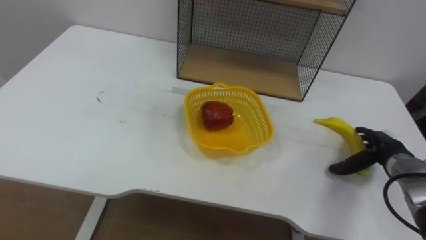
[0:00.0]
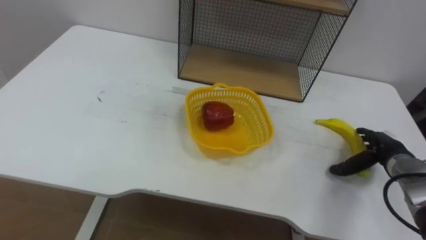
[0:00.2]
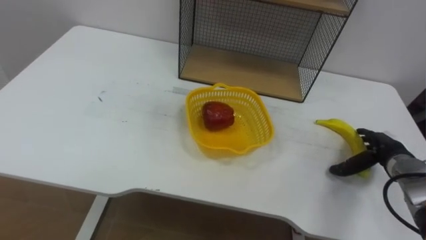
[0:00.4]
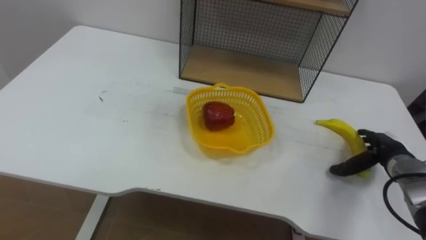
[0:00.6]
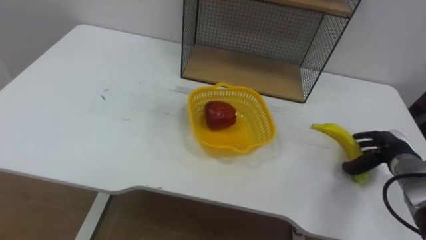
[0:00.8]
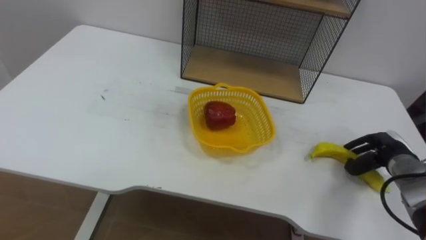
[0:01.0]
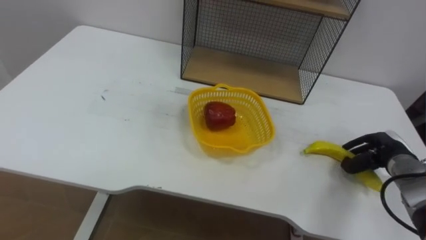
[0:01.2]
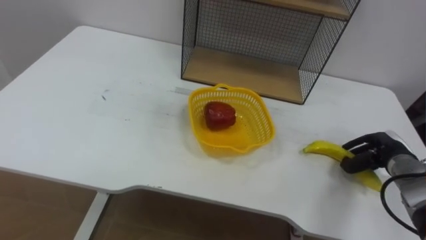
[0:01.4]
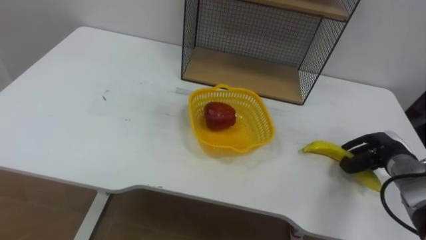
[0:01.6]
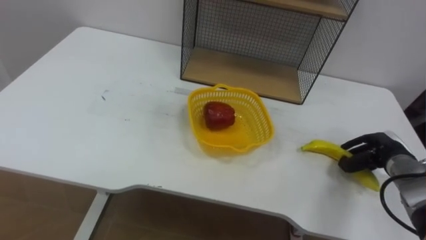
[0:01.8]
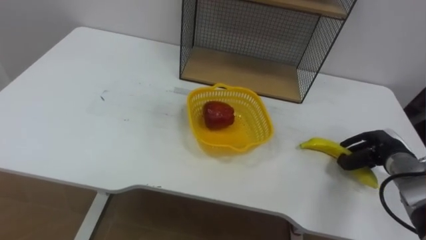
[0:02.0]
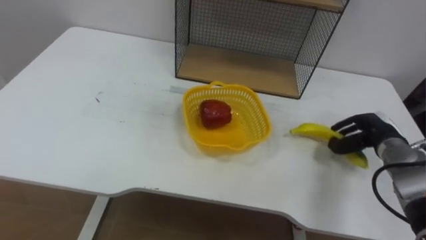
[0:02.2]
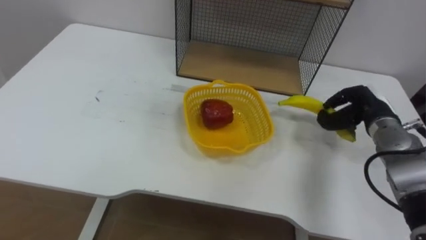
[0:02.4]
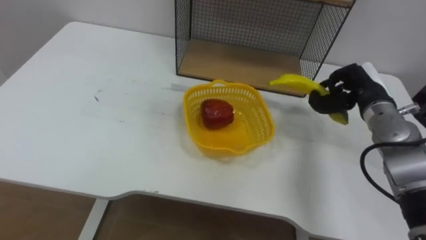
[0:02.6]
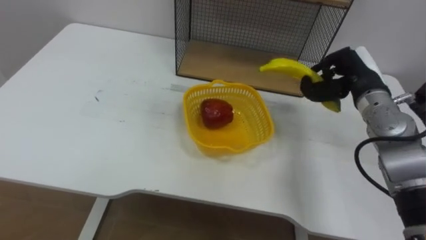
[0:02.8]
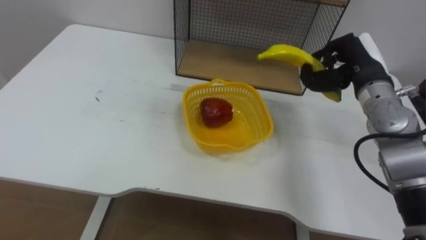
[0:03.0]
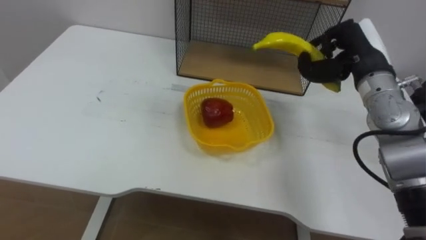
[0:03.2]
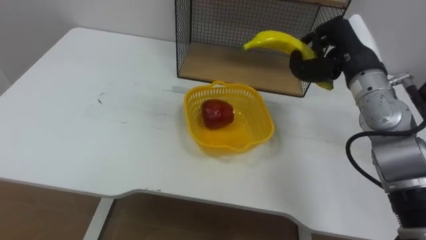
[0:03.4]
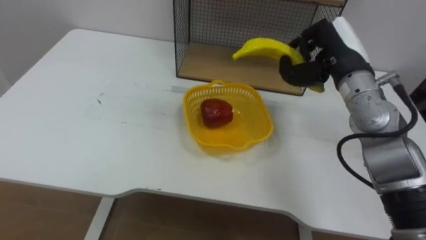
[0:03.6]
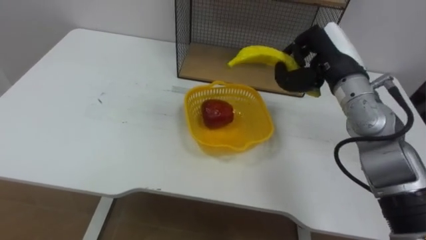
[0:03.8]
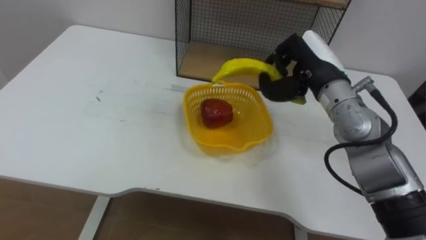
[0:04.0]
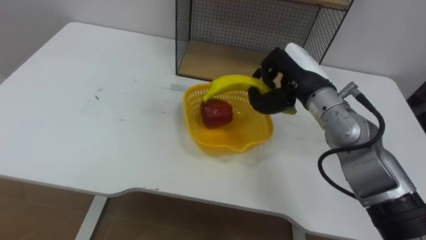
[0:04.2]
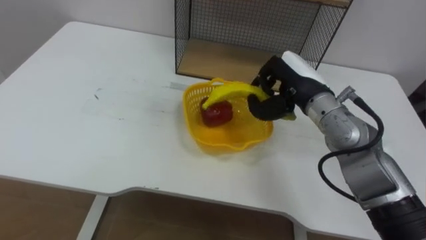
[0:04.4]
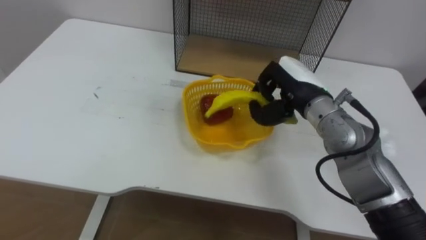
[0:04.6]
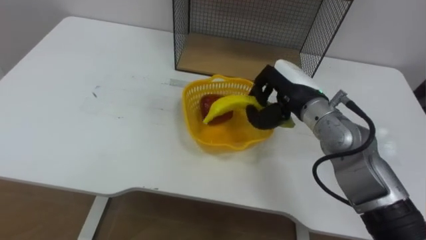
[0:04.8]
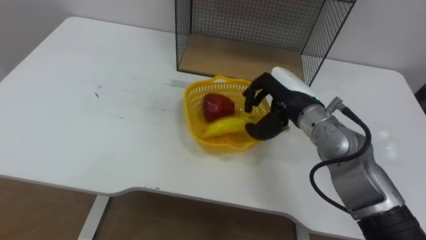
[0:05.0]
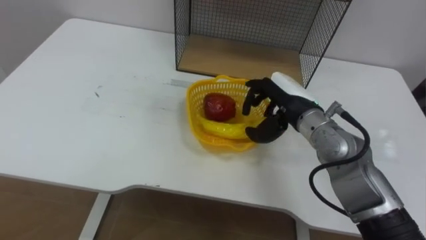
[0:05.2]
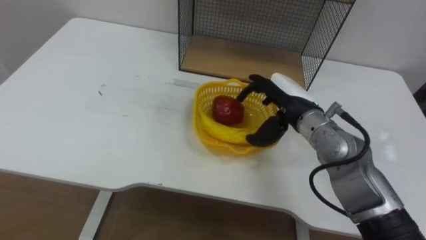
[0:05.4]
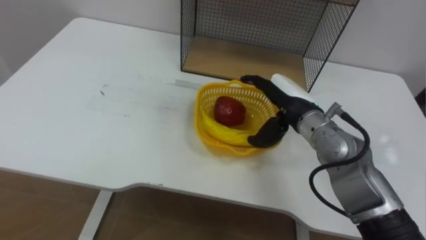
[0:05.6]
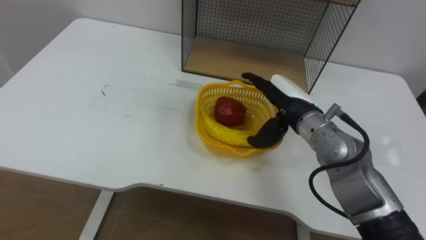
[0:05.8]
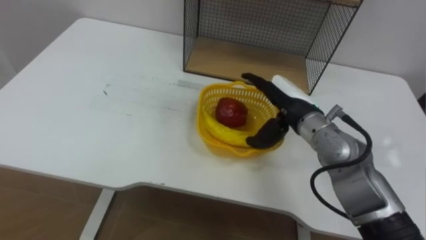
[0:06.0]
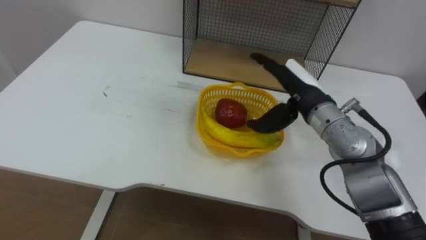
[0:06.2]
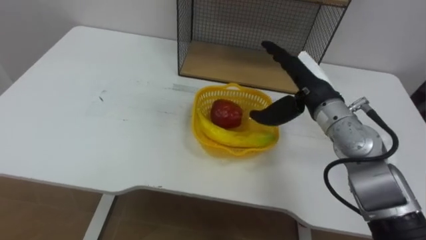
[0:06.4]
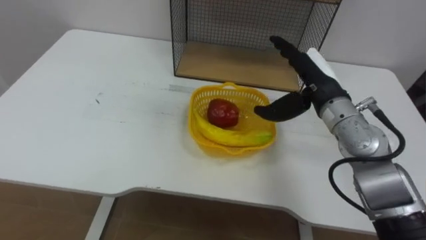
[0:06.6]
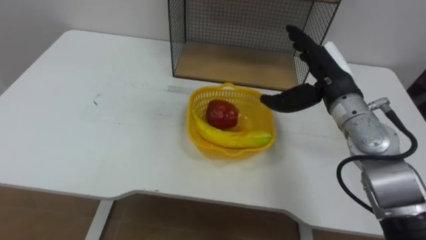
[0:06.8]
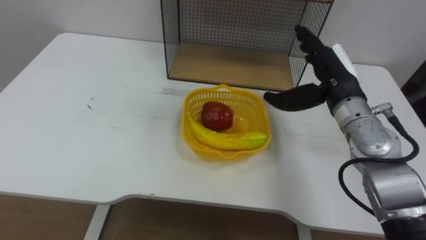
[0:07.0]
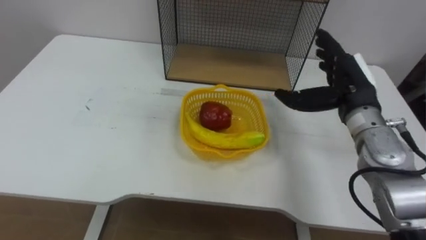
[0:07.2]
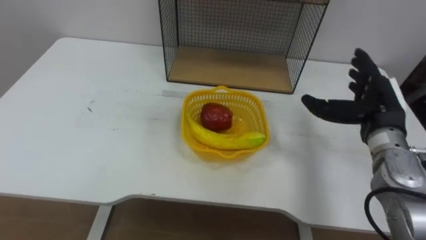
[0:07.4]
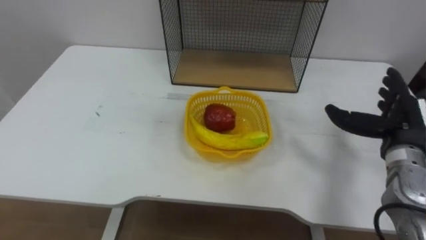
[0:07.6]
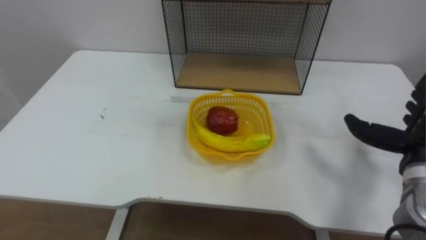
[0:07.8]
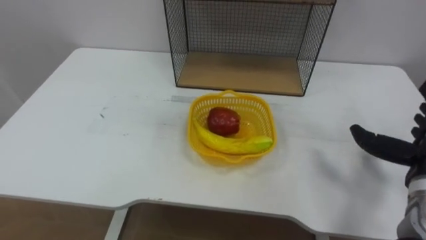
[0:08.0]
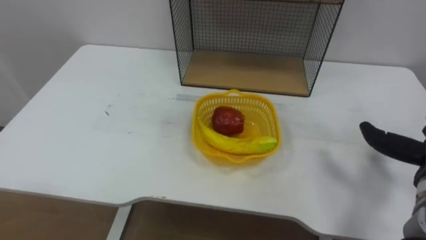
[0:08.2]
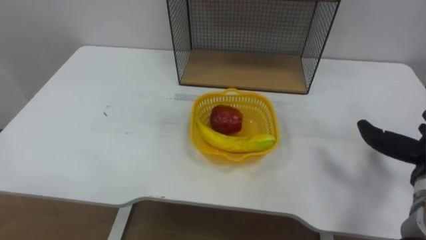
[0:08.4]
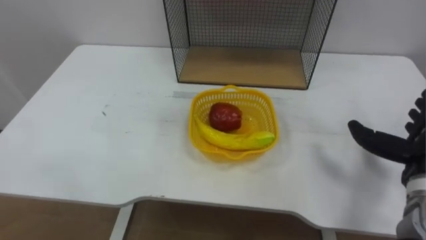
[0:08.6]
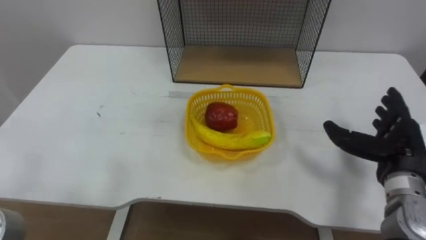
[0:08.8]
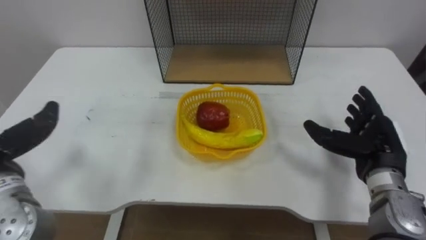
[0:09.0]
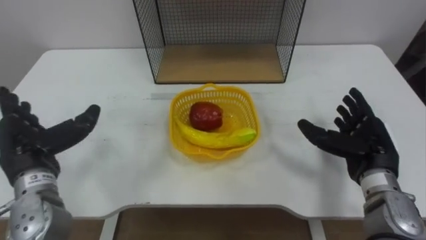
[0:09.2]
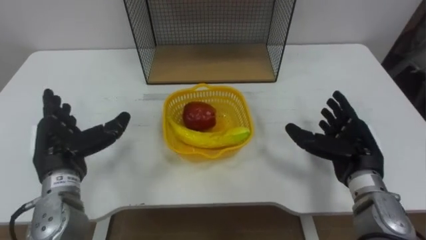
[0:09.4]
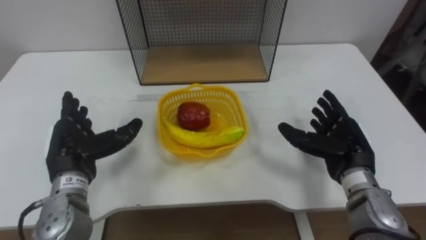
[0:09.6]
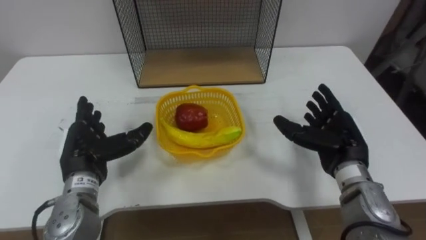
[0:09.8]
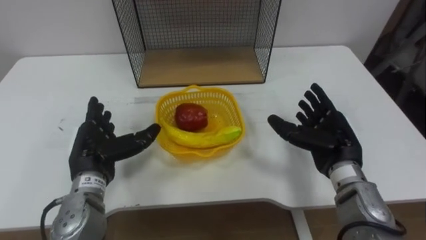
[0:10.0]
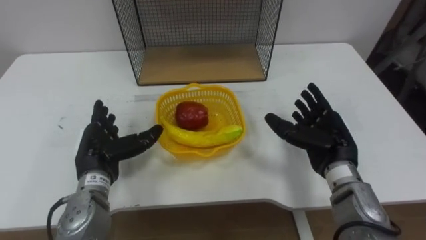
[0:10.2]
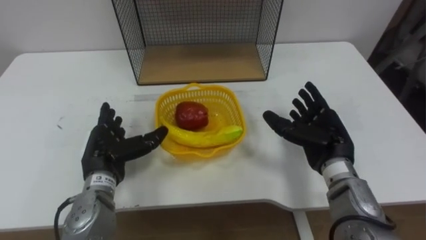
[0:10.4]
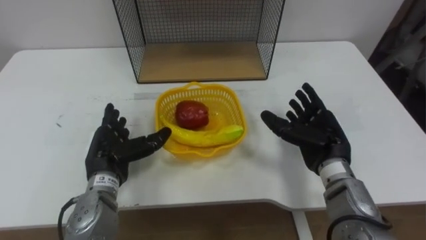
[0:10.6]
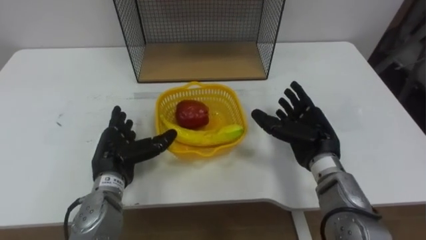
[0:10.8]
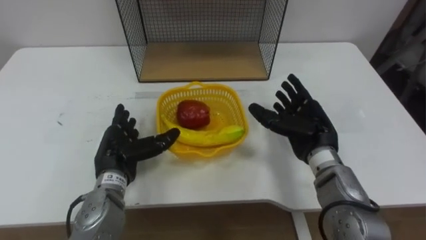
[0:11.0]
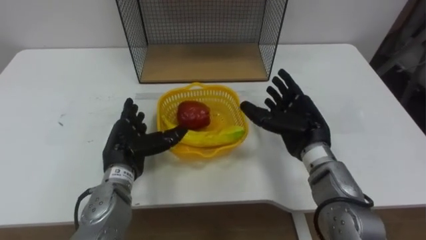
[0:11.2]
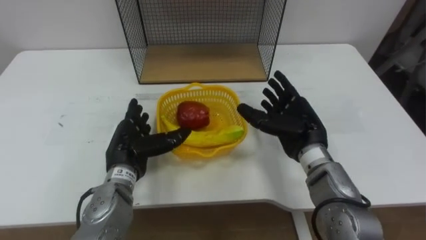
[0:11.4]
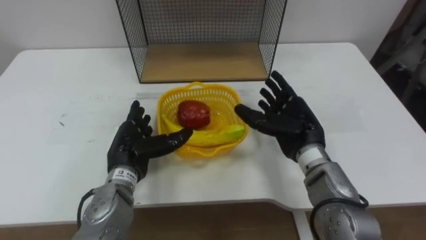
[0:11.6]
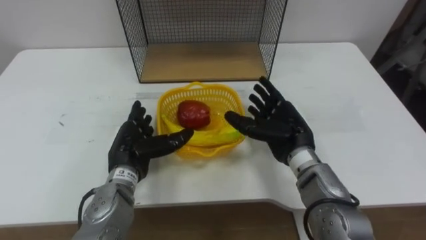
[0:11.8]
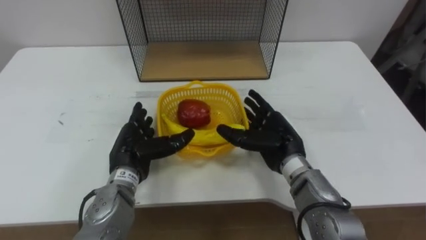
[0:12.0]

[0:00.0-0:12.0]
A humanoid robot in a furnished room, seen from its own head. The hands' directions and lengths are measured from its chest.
Task of the whole recording: Put the fruit on the table into the basket, then place the basket on the shelf.
0:00.0 to 0:01.6: The right hand closes its fingers.
0:01.6 to 0:03.0: The right hand is displaced upward, to the left and forward by approximately 20 cm.
0:03.0 to 0:04.4: The right hand is displaced to the left by approximately 10 cm.
0:04.4 to 0:06.0: The right hand opens its fingers.
0:06.0 to 0:07.6: The right hand is displaced to the right by some 20 cm.
0:09.0 to 0:10.4: The right hand heads to the left, covering approximately 10 cm.
0:10.4 to 0:12.0: The right hand heads to the left, covering about 10 cm.

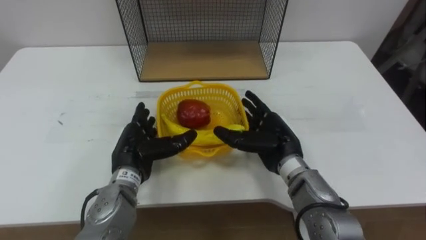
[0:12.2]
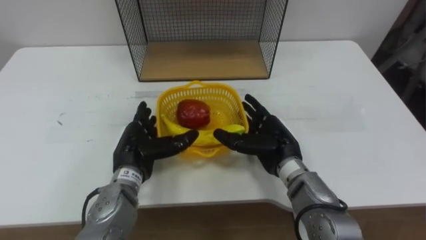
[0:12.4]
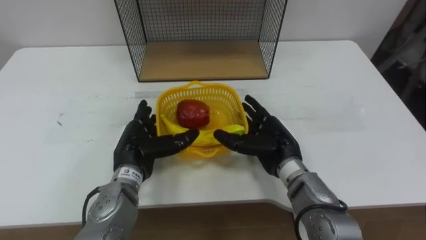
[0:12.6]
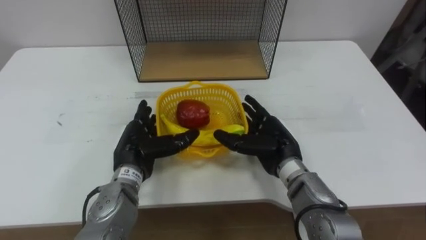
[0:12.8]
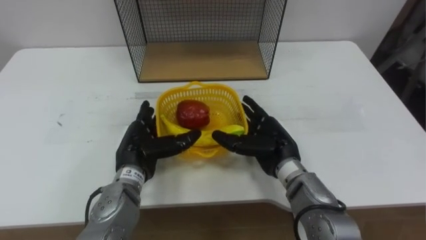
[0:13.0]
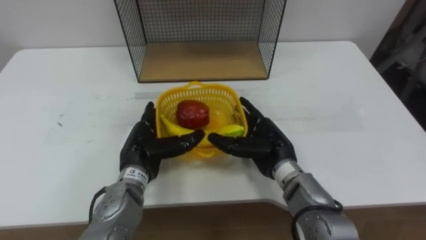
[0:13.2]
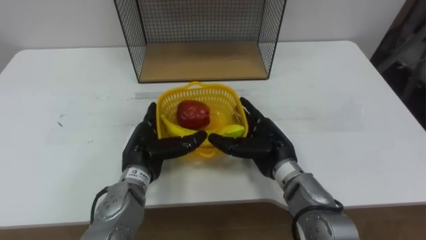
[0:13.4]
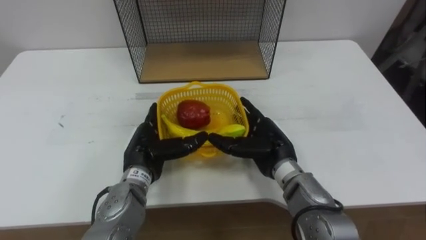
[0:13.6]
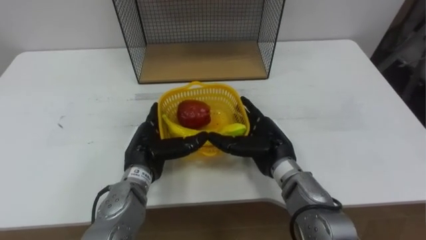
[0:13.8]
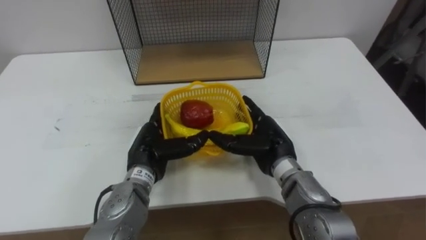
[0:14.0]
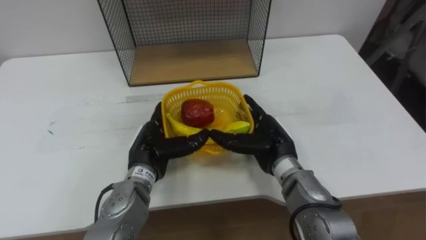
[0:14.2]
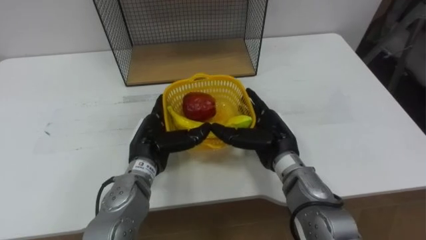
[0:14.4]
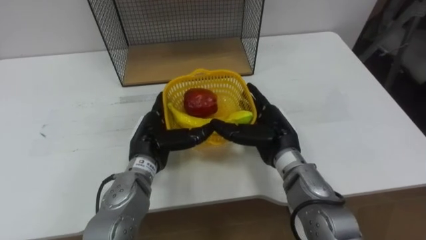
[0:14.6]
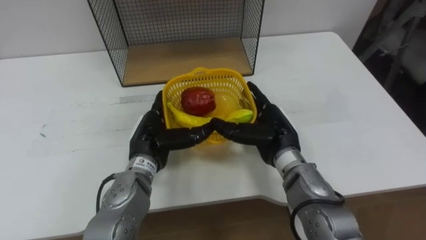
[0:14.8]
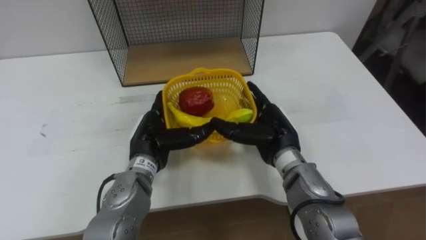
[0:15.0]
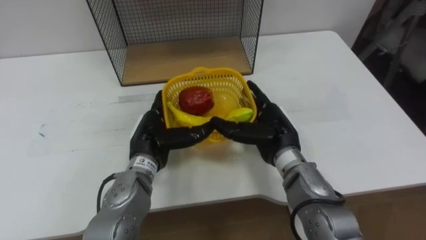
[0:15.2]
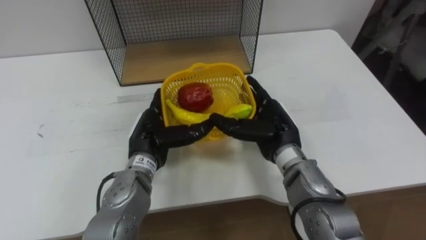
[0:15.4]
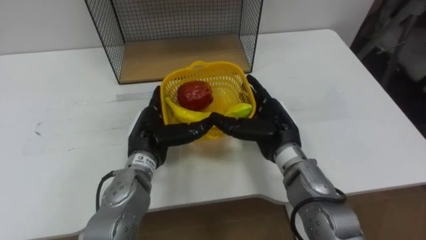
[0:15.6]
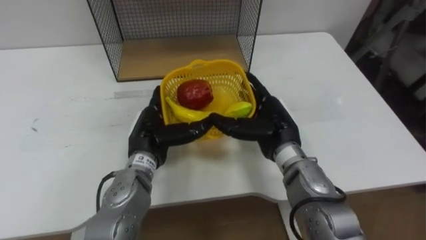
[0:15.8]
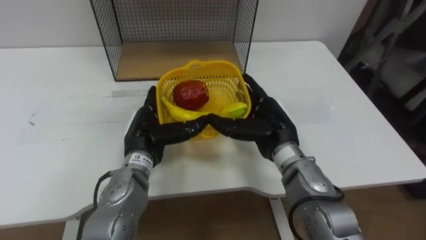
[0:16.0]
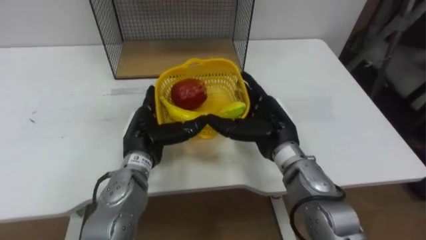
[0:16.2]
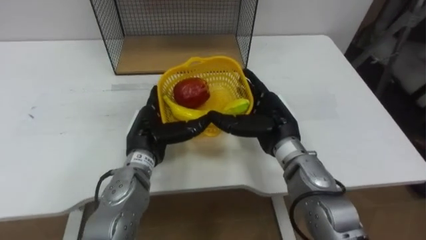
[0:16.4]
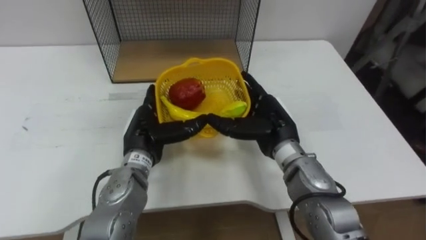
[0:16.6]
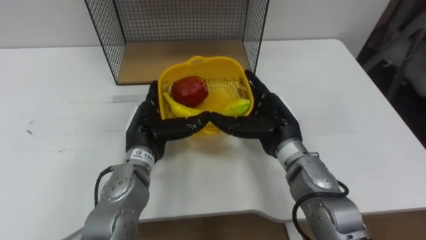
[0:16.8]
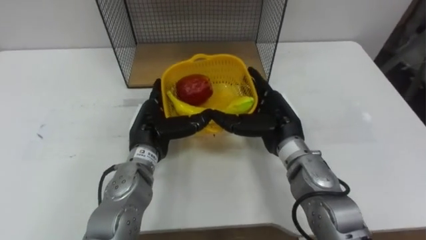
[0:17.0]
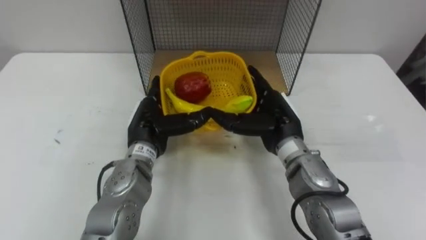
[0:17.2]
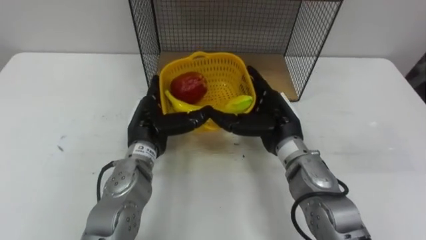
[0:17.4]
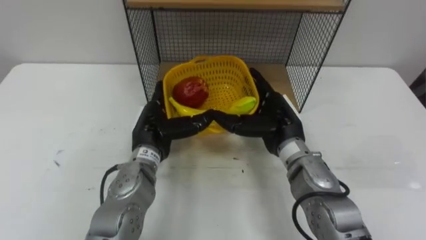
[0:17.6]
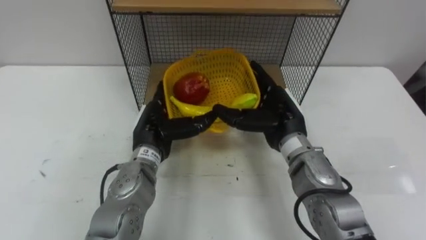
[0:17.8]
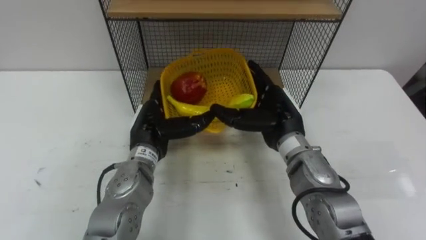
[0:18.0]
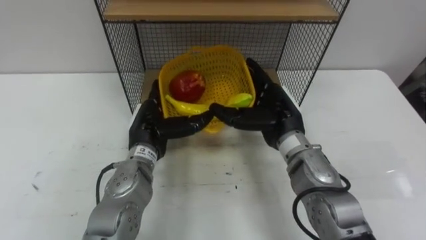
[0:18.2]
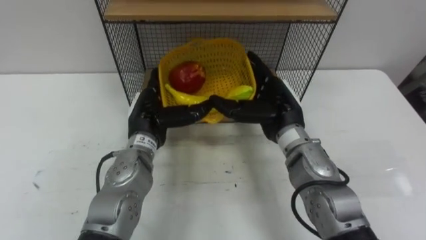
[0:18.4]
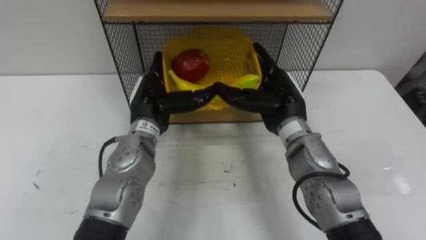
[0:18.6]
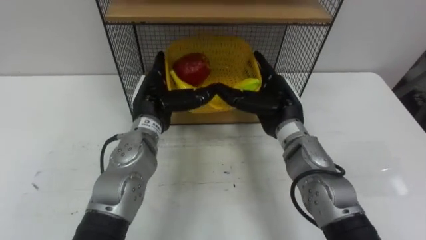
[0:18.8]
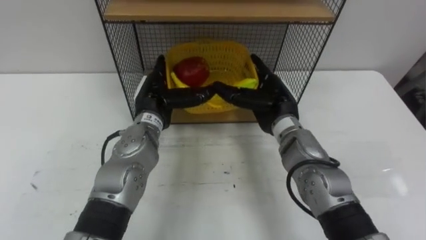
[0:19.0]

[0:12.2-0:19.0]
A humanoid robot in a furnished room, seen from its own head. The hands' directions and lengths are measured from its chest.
Task of the whole recording: Put the fruit on the table into the basket, then place the basket on the shelf.
0:12.2 to 0:13.6: The hands make only small movements.
0:17.6 to 0:19.0: The left hand shifts by some 5 cm.
